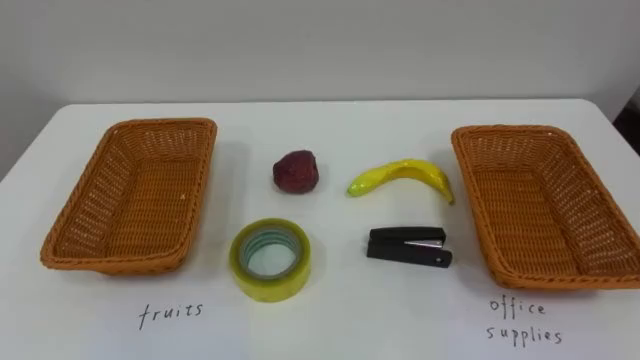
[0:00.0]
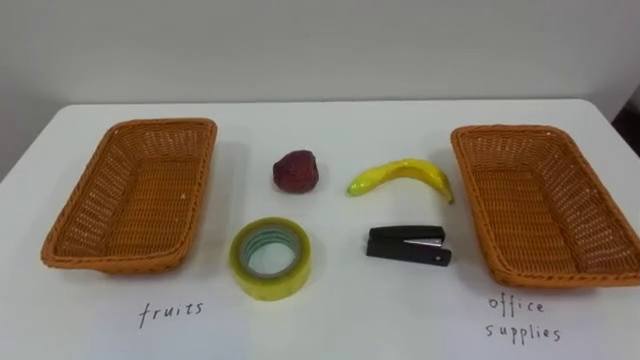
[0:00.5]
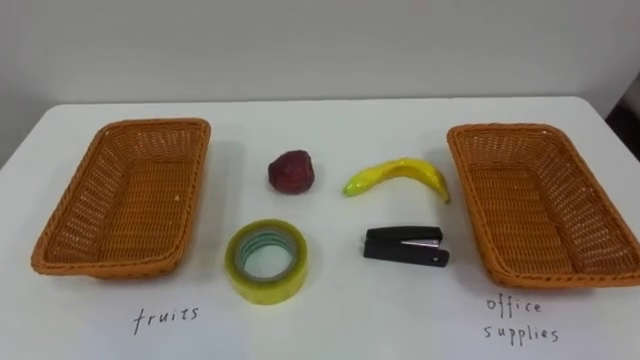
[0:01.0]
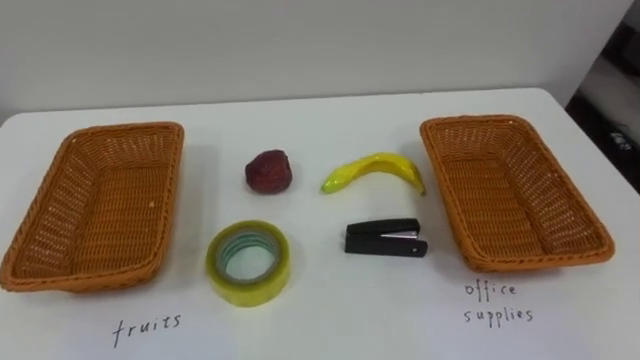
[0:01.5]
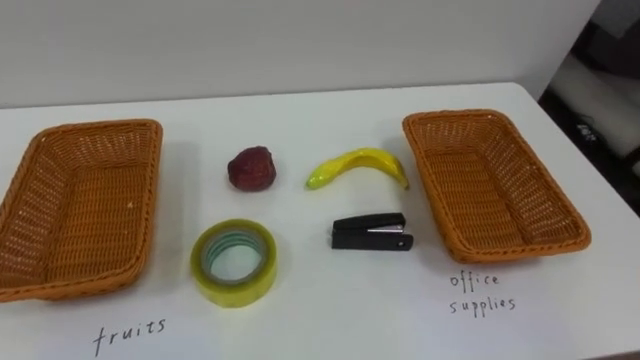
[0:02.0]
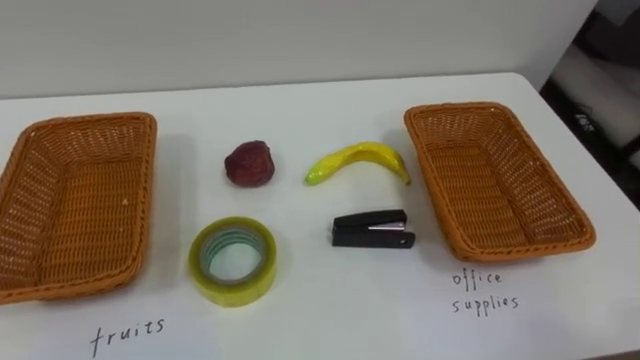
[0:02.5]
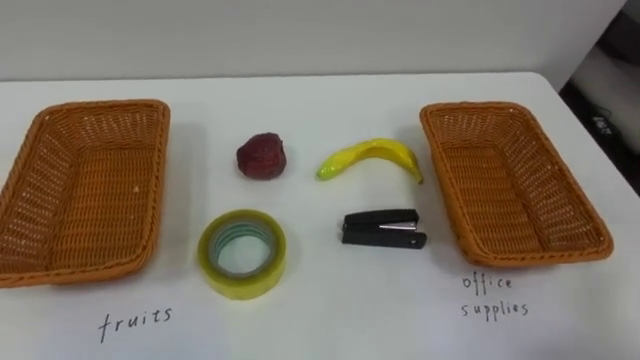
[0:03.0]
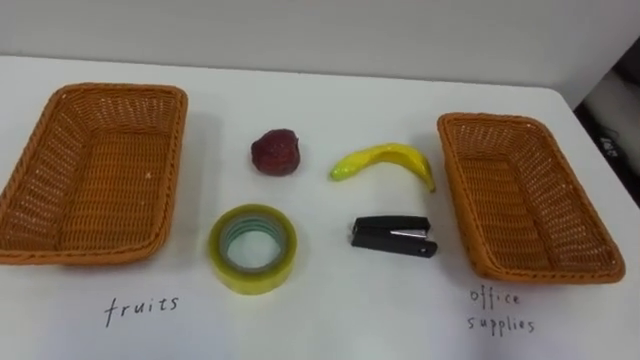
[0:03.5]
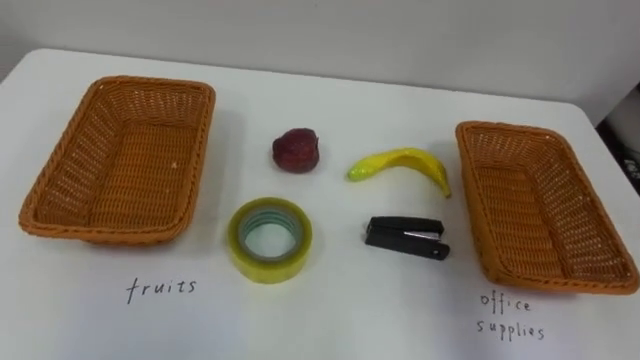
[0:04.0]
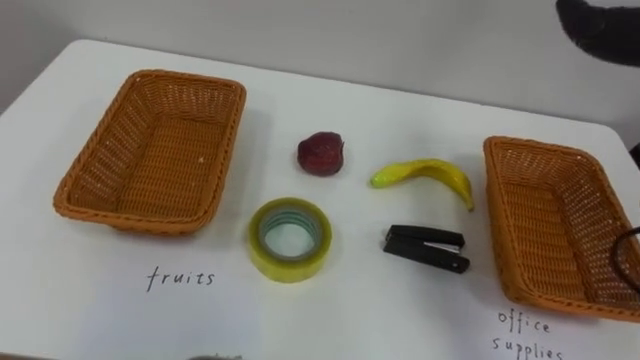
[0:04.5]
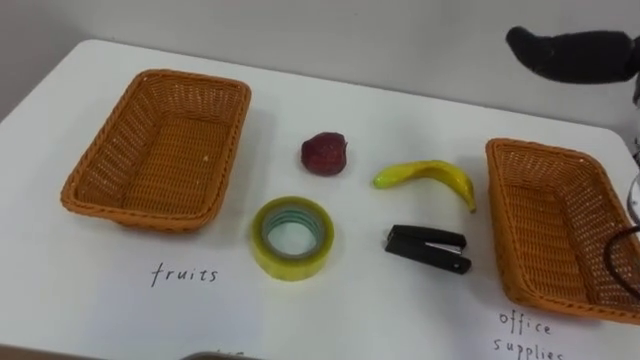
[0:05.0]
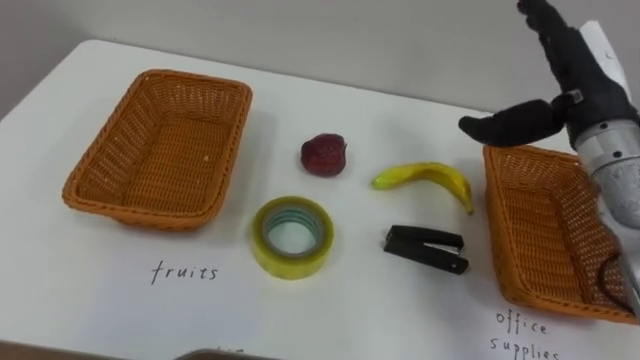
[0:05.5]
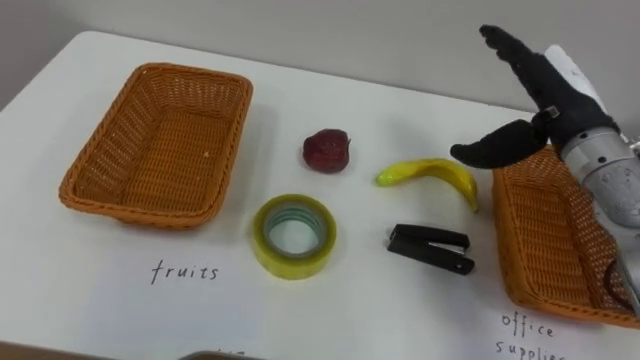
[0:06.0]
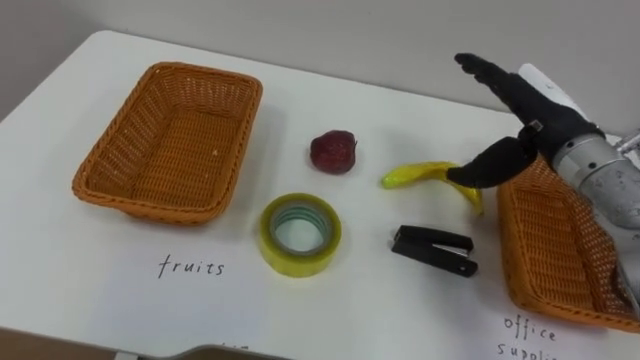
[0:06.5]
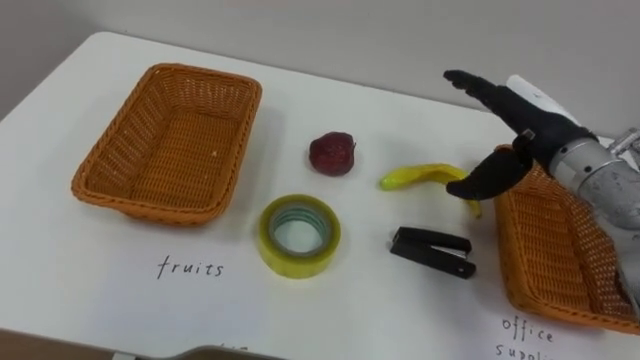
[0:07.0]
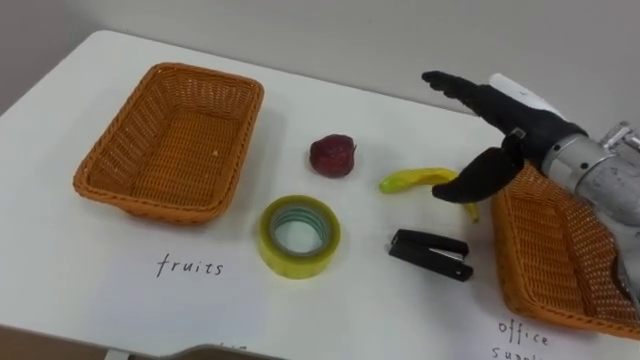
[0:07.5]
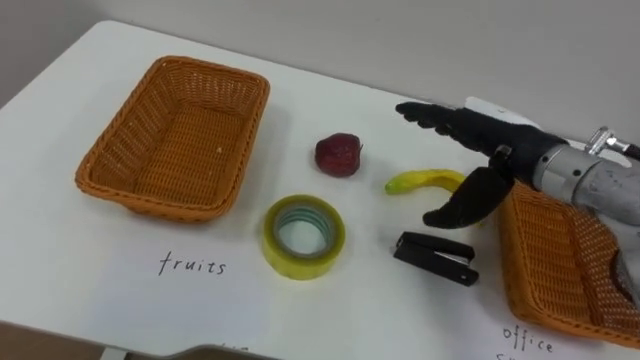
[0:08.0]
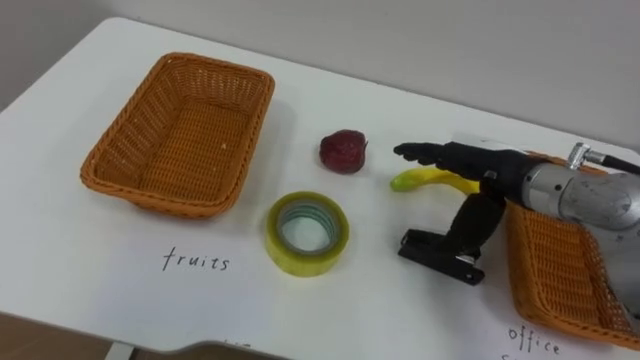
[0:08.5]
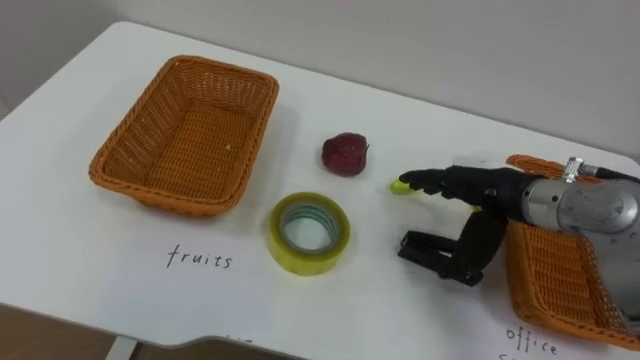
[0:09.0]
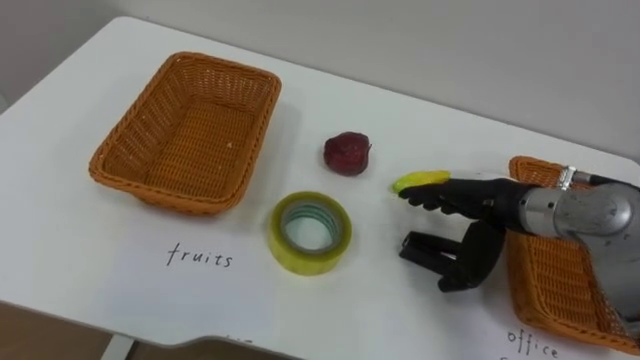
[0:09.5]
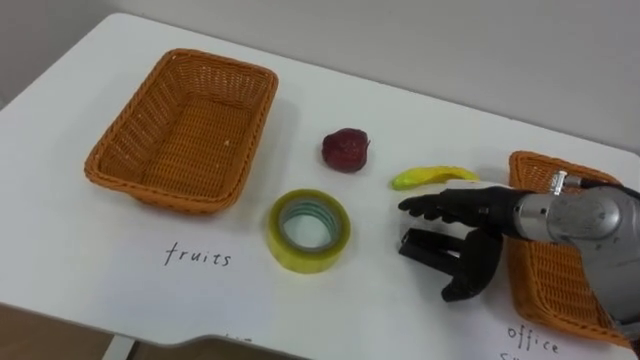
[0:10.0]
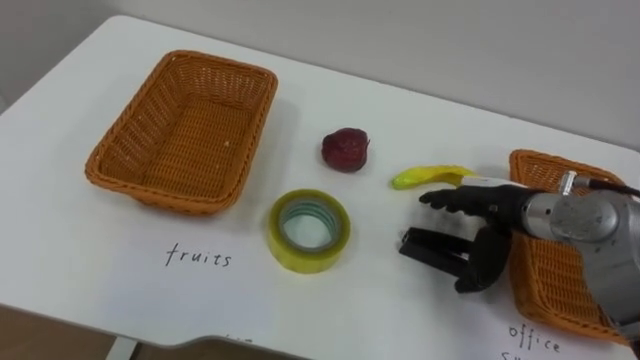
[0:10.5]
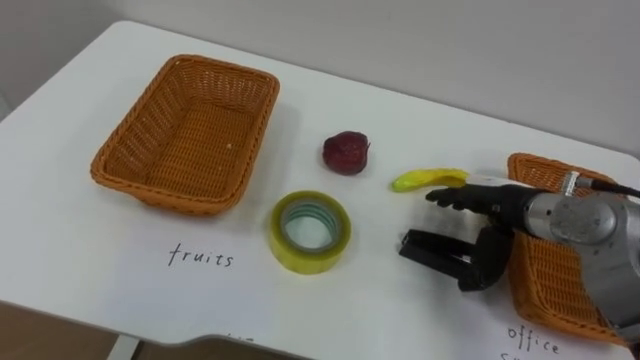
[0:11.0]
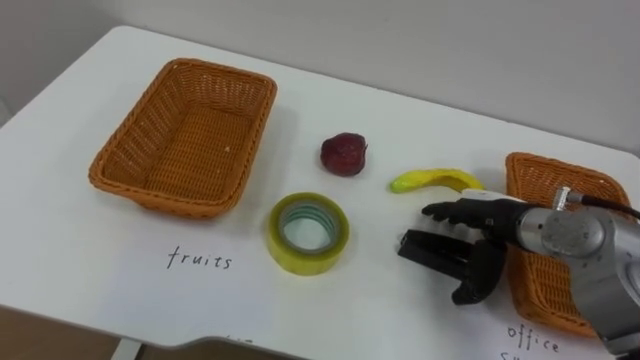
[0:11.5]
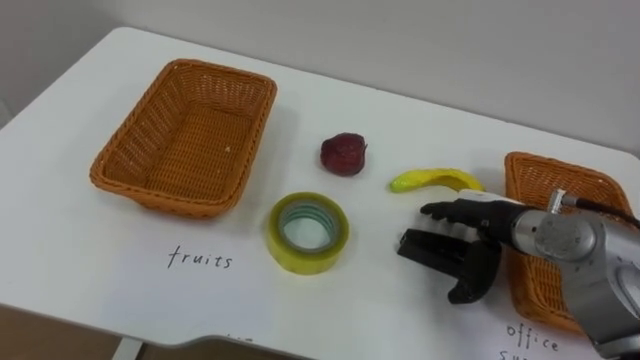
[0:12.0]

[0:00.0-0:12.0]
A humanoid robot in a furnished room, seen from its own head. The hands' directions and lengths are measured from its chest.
Task of the whole recording: Separate the items on the table and place them into the two baskets.
0:06.0 to 0:08.0: The right hand heads to the left, covering some 5 cm.
0:08.0 to 0:10.0: The right hand goes approximately 10 cm downward.

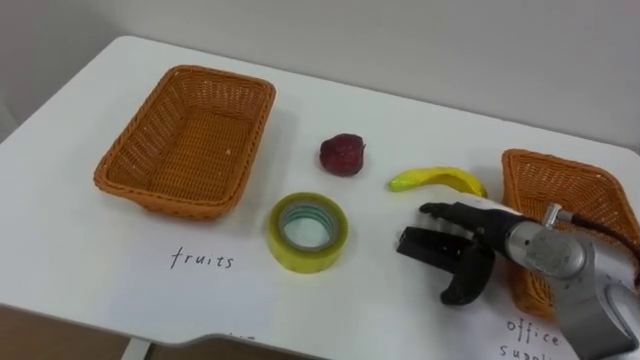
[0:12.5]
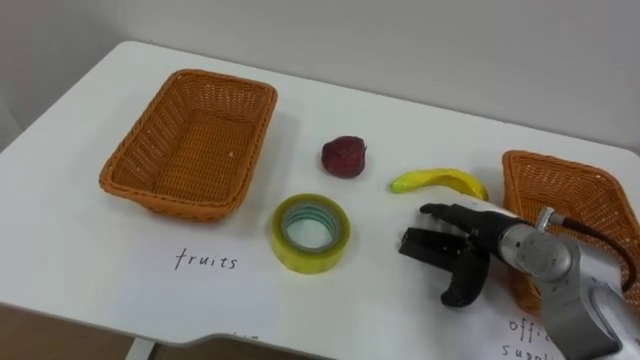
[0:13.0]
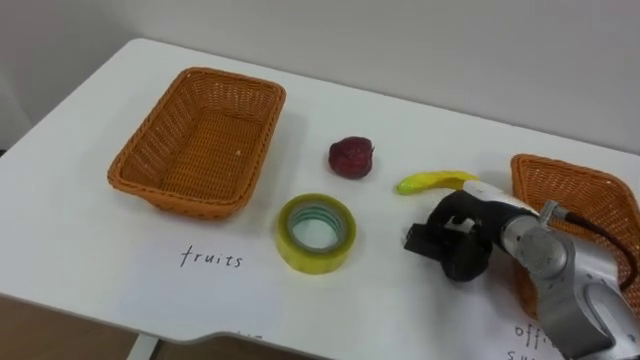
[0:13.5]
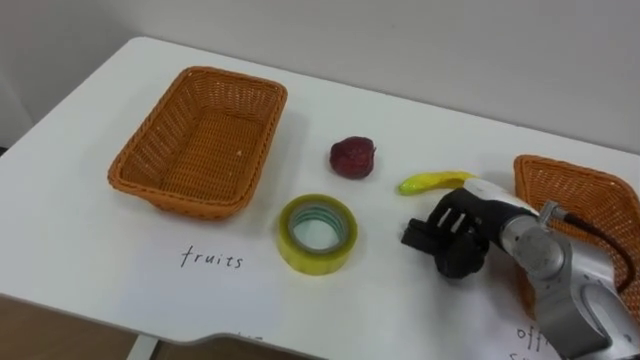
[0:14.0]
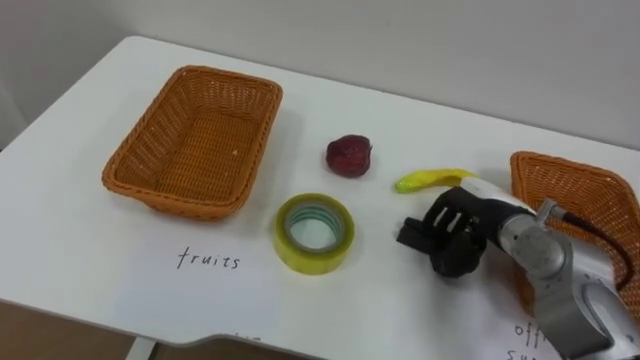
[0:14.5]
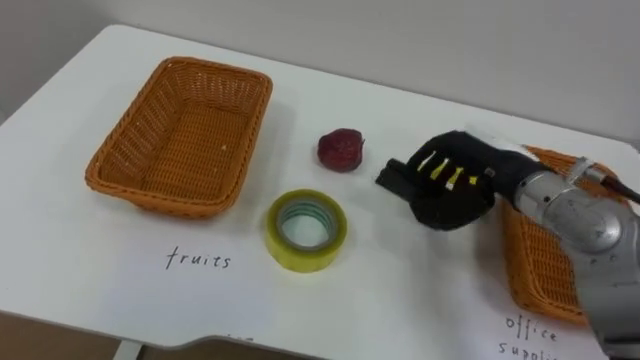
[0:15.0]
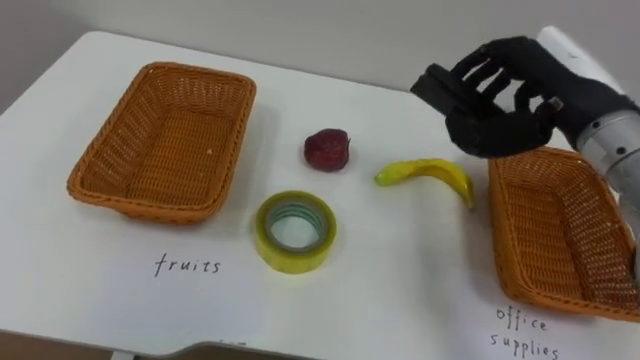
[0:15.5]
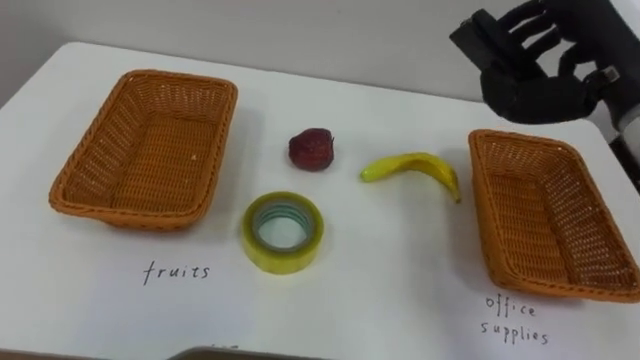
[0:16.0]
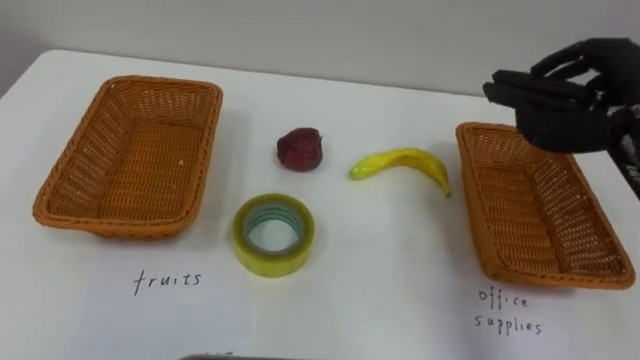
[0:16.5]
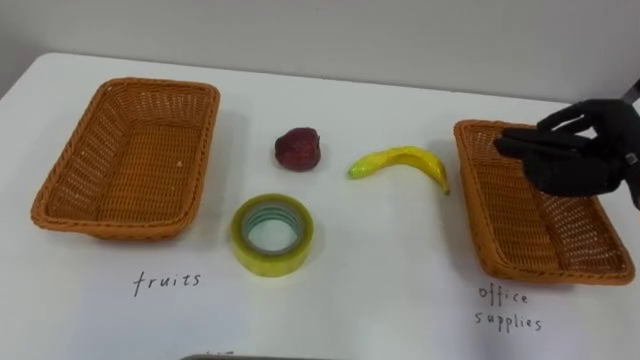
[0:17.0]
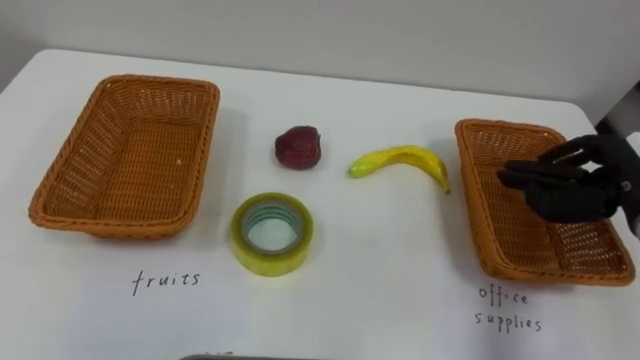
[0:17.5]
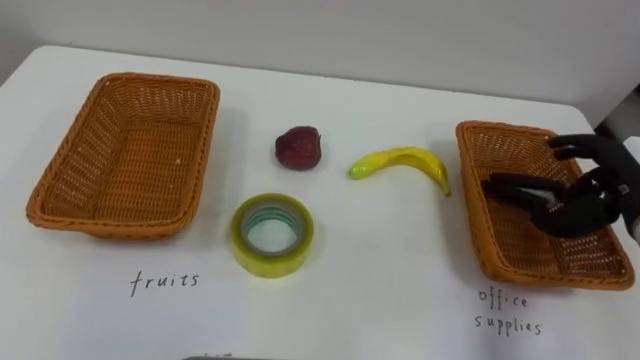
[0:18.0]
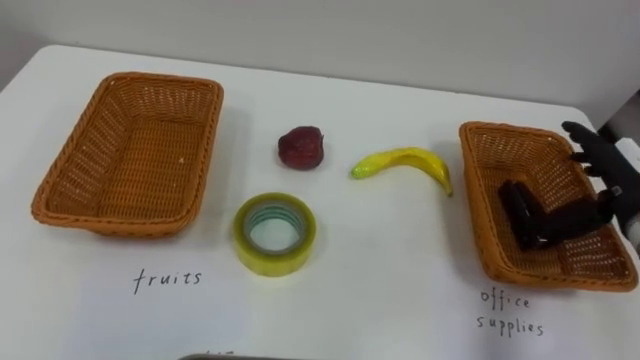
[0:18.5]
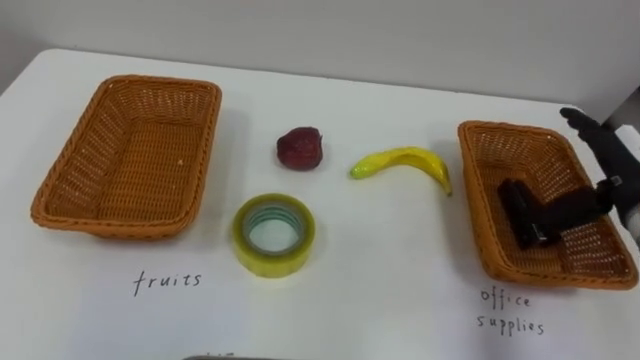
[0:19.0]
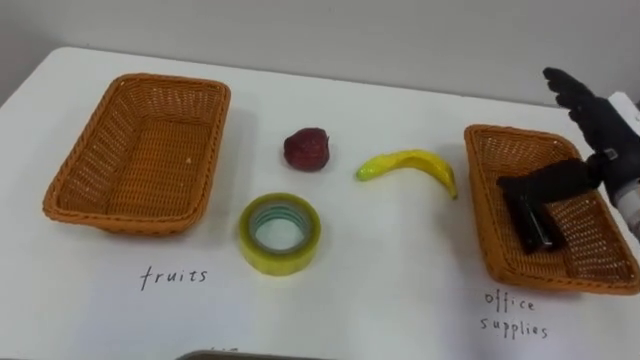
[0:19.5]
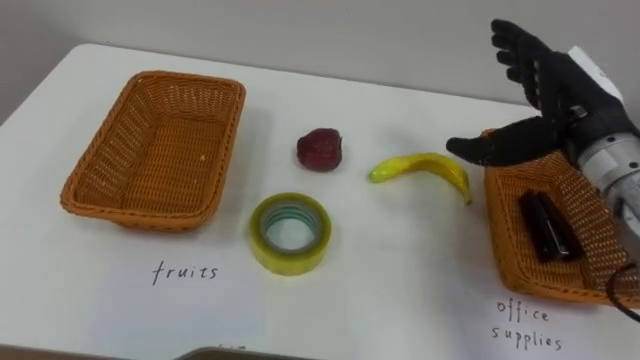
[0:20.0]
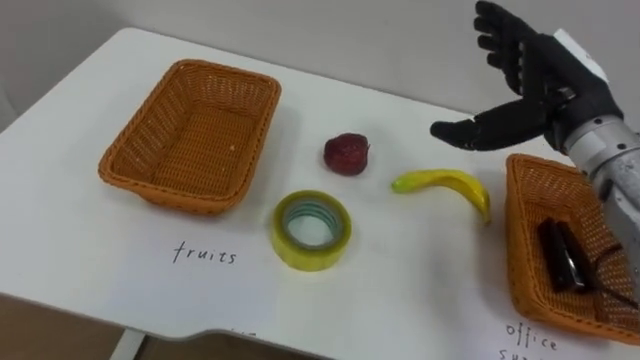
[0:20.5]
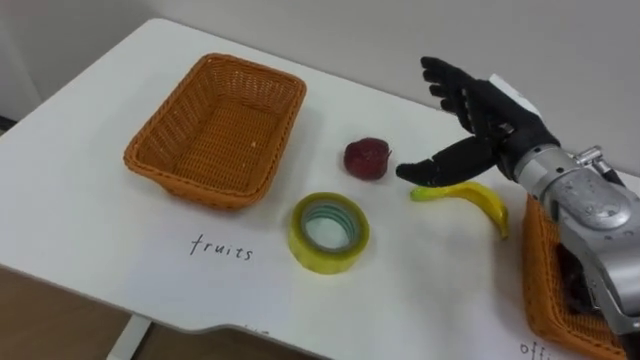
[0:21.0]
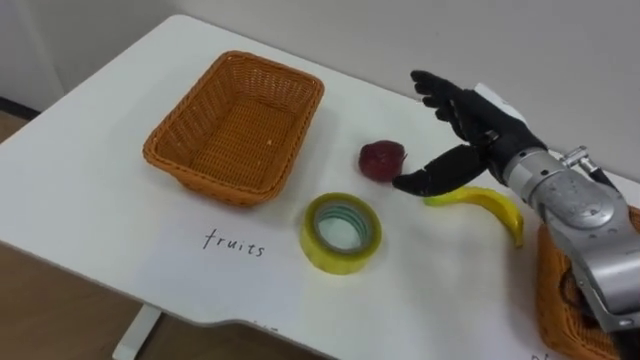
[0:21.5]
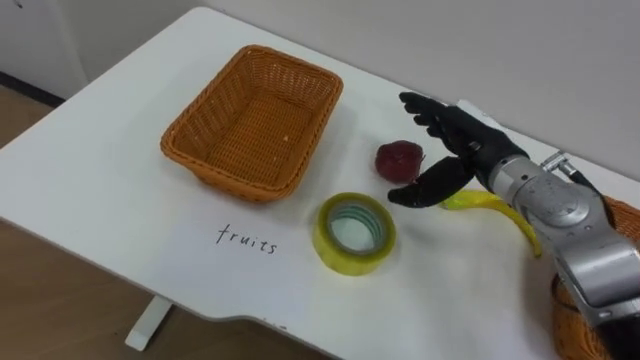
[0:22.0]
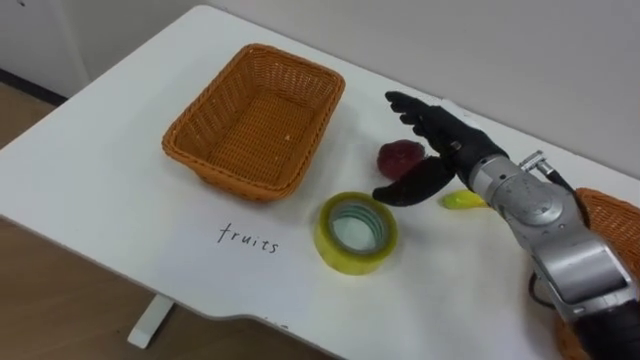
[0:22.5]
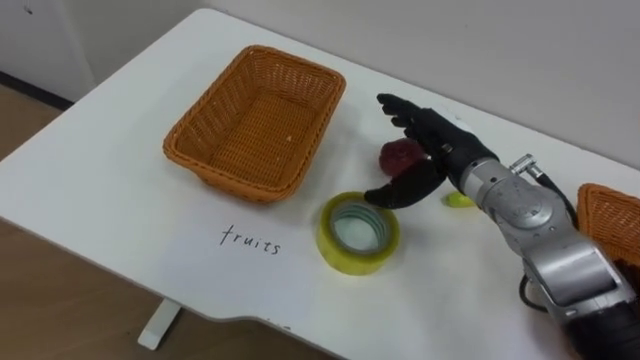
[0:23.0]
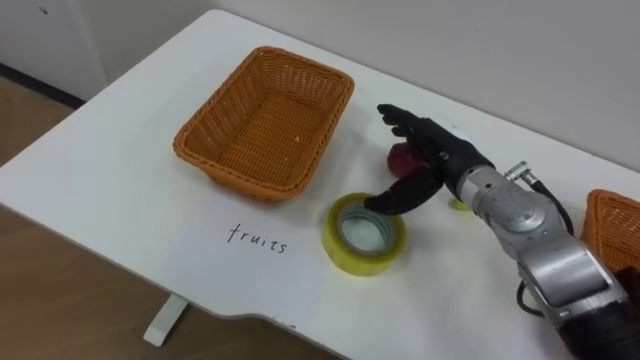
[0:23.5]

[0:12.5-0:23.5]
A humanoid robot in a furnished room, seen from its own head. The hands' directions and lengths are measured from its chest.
Task of the whole recording: Separate the items on the table and place them into the two baskets.
0:12.5 to 0:14.5: The right hand closes up.
0:14.5 to 0:16.0: The right hand shifts approximately 20 cm upward.
0:18.0 to 0:20.0: The right hand travels to the left and upward by about 15 cm, and opens.
0:20.0 to 0:21.5: The right hand heads to the left, covering roughly 5 cm.
0:21.5 to 0:23.5: The right hand ends up about 5 cm from where it was.
